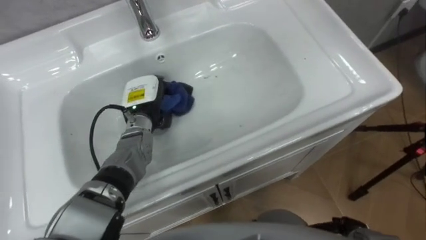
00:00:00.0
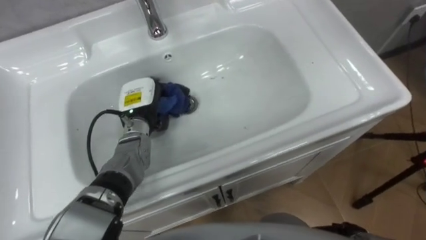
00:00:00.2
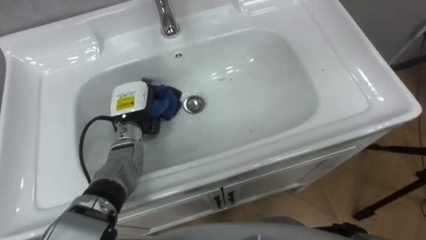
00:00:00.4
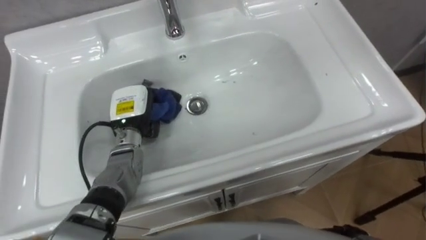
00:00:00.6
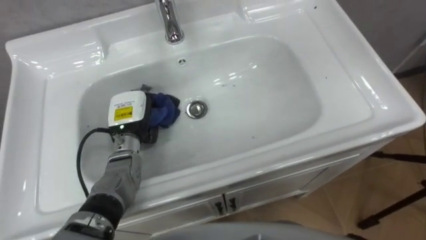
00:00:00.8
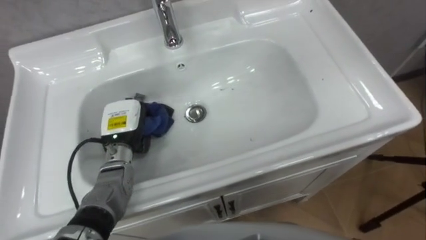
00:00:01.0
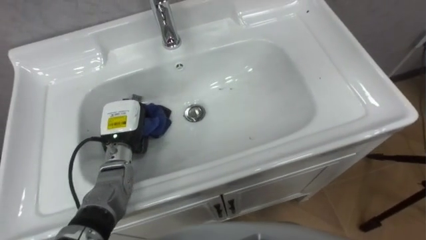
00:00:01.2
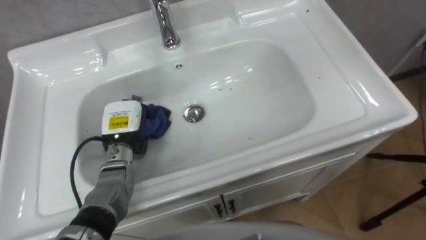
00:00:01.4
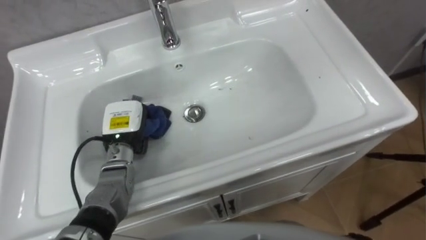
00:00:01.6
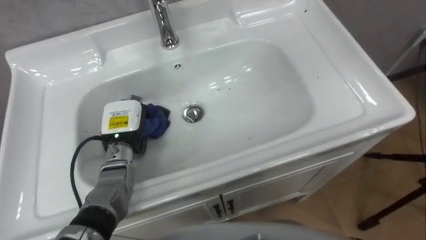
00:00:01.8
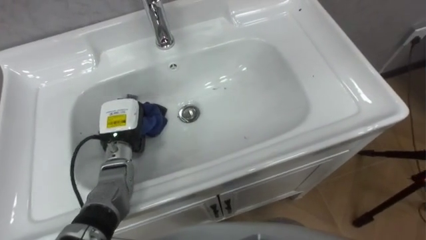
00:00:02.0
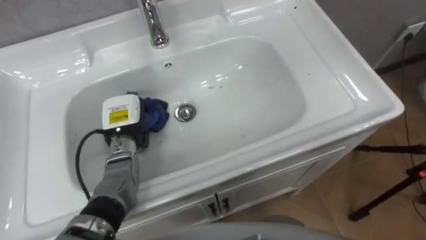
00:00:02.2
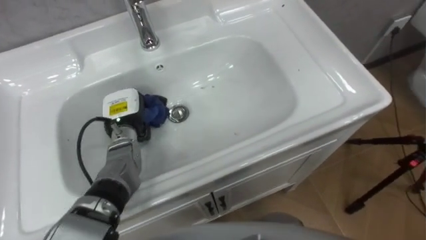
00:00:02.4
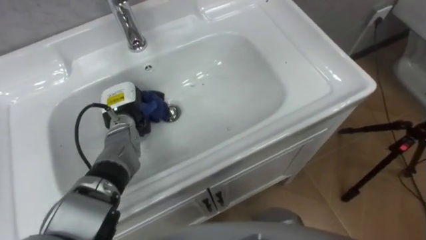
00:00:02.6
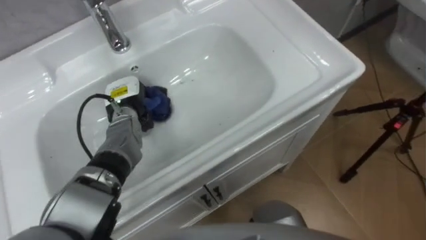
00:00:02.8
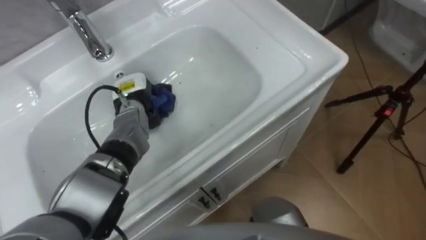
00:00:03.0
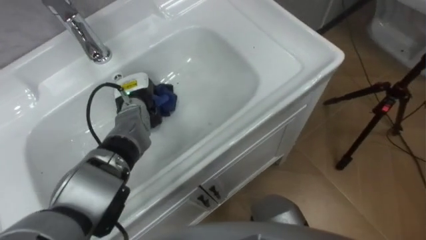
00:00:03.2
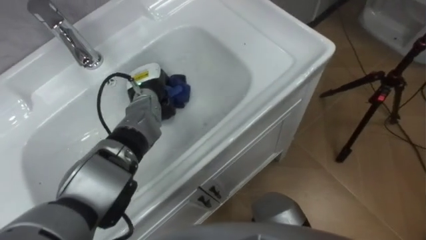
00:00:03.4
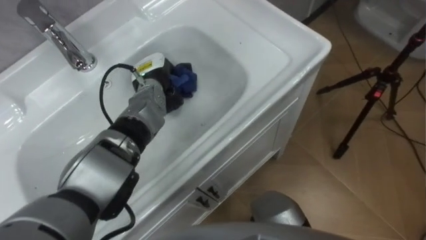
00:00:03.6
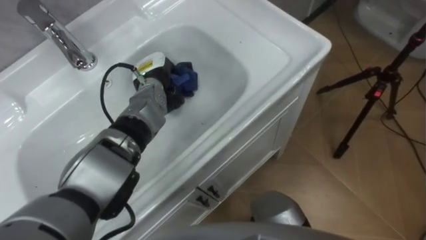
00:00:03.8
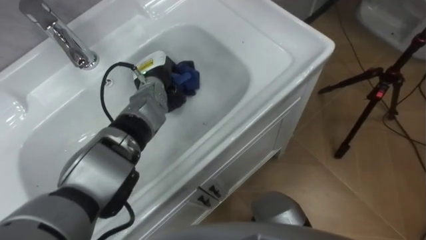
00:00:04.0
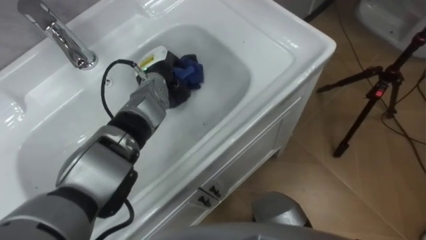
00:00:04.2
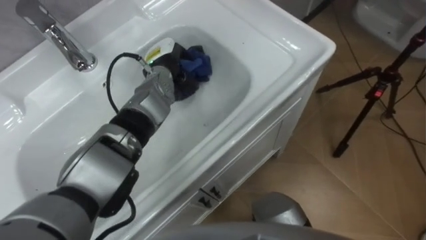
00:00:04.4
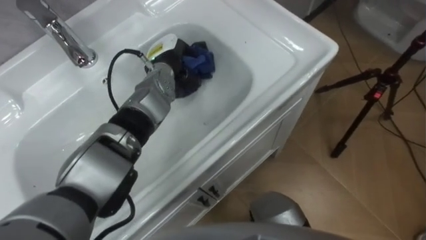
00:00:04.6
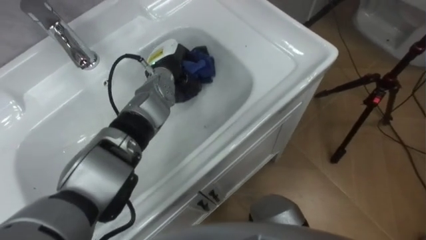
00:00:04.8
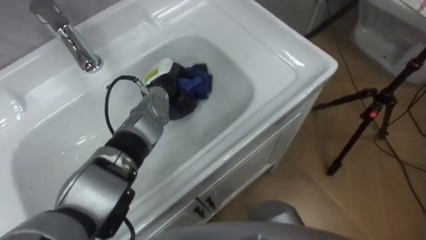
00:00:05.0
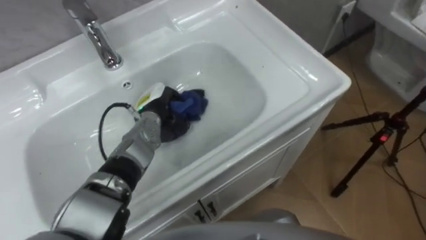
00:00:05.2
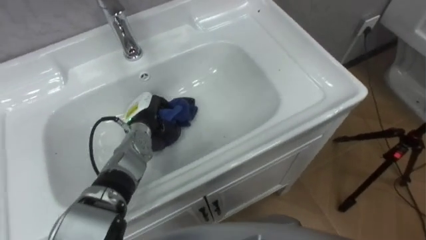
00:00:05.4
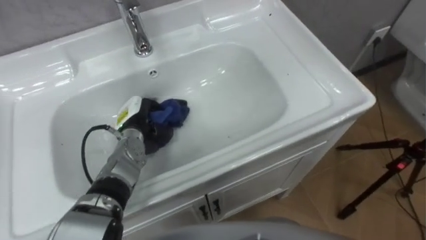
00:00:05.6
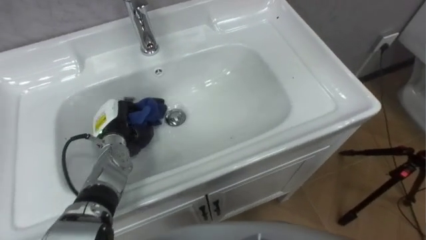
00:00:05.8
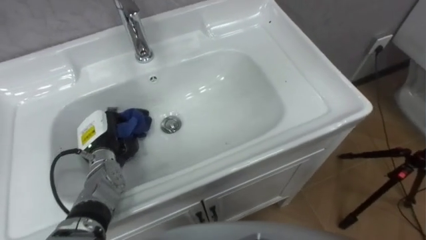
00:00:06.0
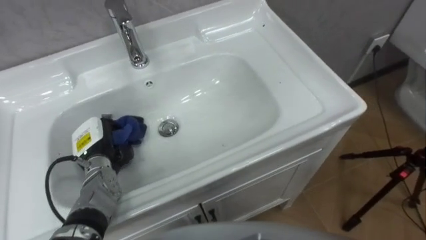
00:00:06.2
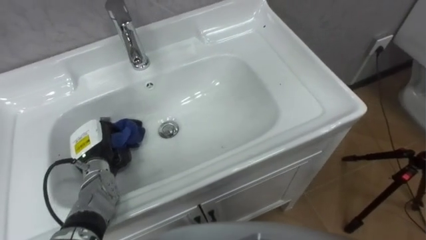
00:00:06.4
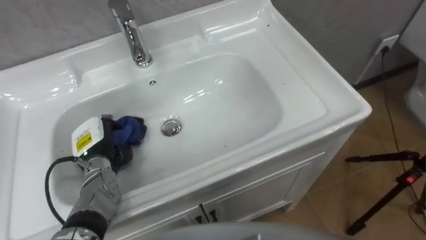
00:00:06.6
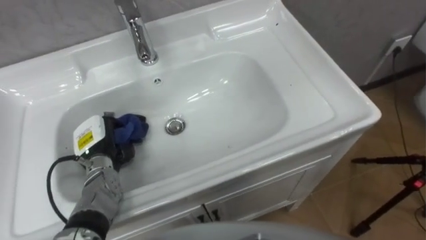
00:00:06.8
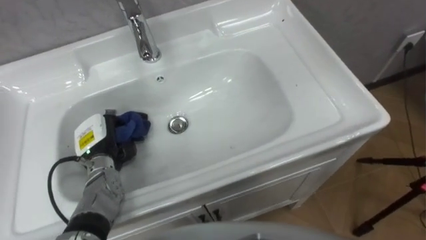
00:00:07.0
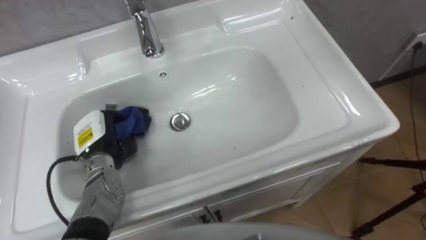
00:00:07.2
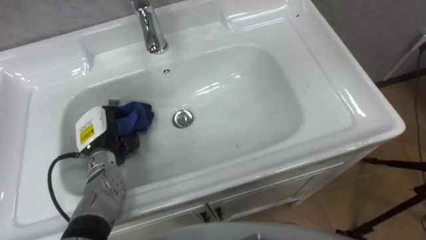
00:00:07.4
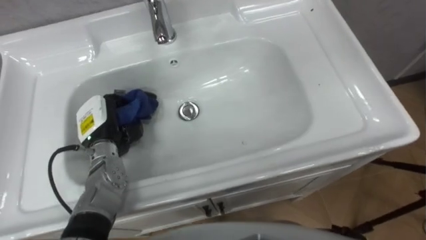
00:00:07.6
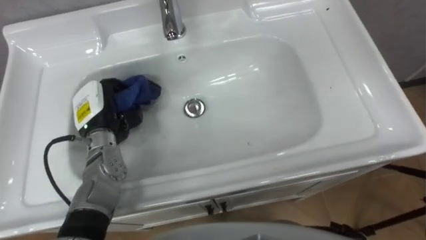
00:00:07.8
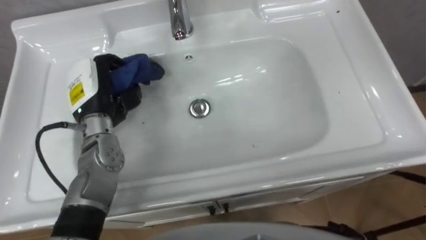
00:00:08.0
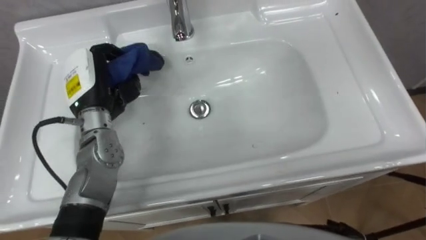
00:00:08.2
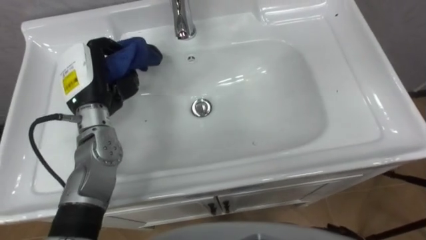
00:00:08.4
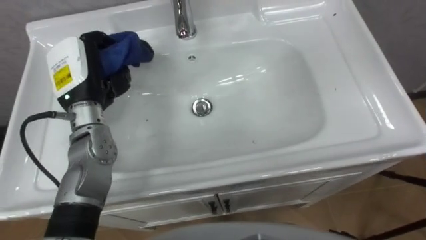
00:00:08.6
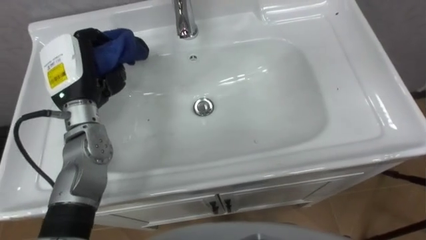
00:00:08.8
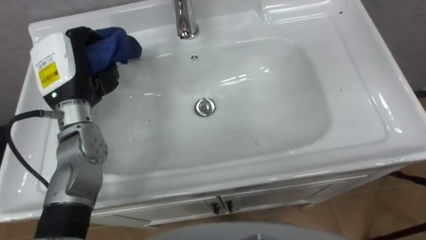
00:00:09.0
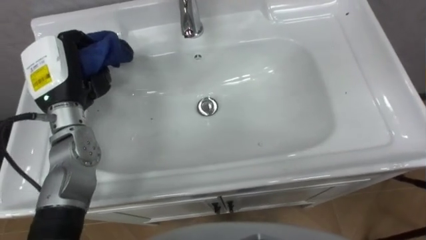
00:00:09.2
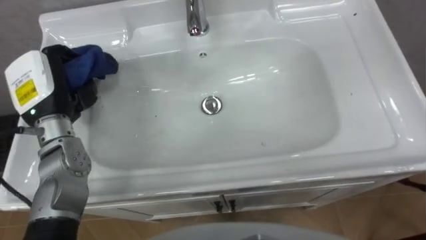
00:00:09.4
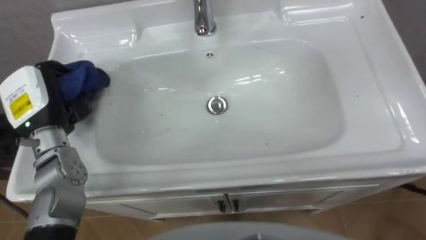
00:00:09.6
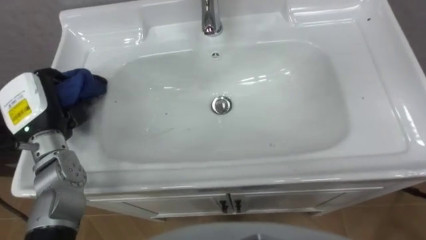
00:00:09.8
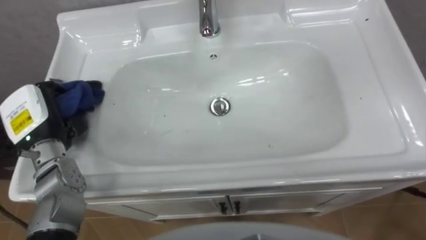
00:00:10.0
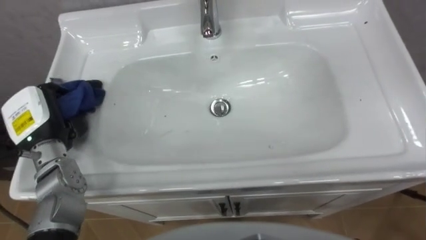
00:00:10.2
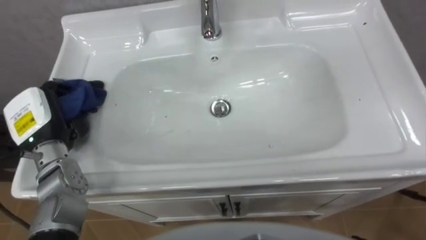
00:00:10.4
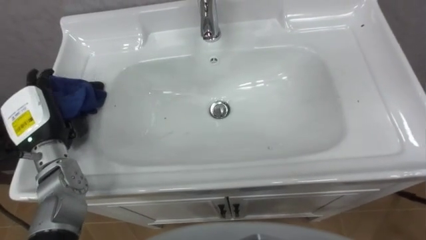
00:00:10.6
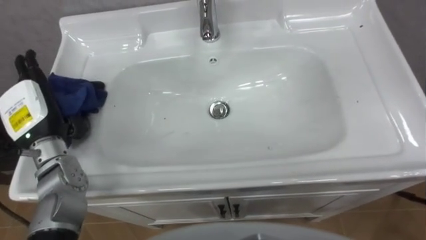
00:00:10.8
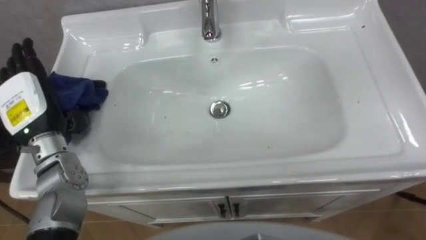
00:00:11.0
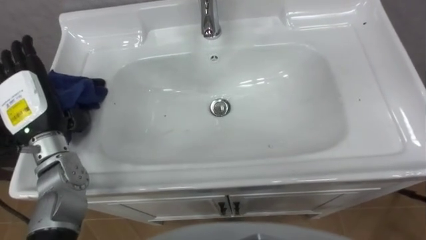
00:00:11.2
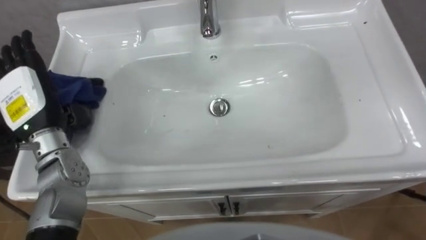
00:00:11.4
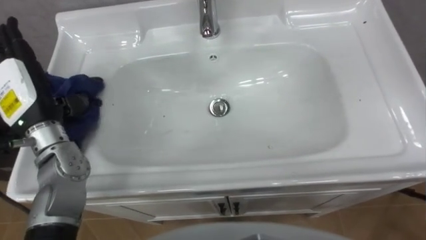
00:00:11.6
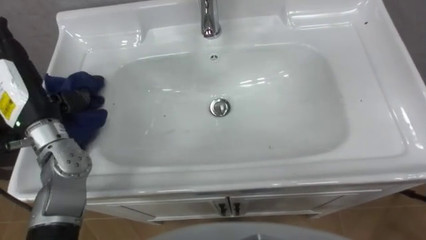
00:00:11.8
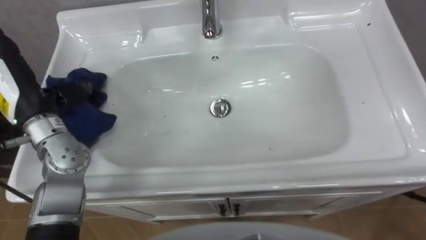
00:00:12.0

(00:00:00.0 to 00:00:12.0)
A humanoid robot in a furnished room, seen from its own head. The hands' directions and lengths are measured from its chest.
Task of the whole recording: Use the cloth on the right to wipe away the black stain in the sink.
00:00:00.0 - 00:00:01.6: The left hand goes some 5 cm backward.
00:00:01.6 - 00:00:03.0: The left hand travels forward by about 10 cm.
00:00:03.0 - 00:00:04.4: The left hand moves to the right and upward, approximately 10 cm.
00:00:04.4 - 00:00:06.0: The left hand shifts roughly 25 cm to the left, backward and downward.
00:00:06.0 - 00:00:07.6: The left hand moves upward, roughly 5 cm.
00:00:07.6 - 00:00:09.0: The left hand heads upward, covering about 15 cm.
00:00:09.0 - 00:00:10.4: The left hand moves downward, to the left and backward, roughly 10 cm, and opens.
00:00:10.4 - 00:00:12.0: The left hand goes approximately 5 cm upward, and opens up.

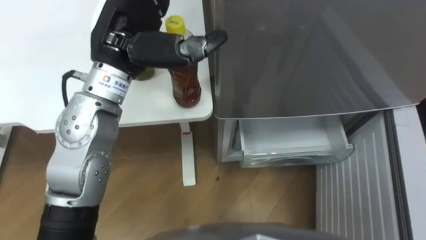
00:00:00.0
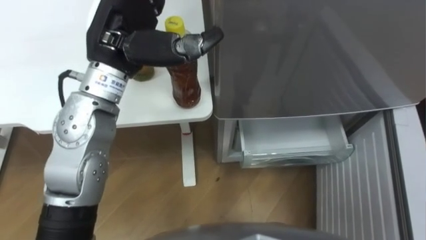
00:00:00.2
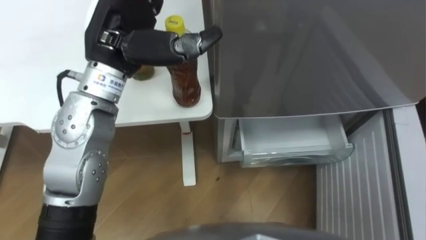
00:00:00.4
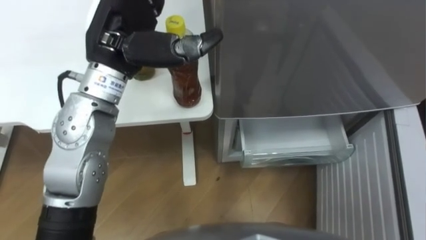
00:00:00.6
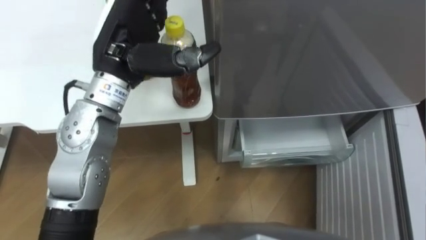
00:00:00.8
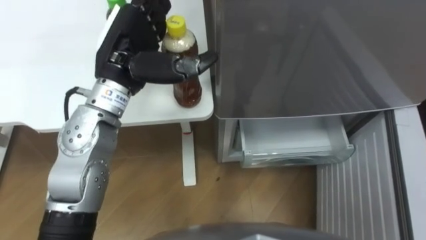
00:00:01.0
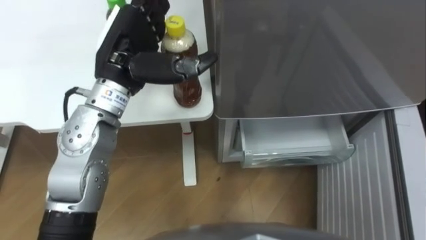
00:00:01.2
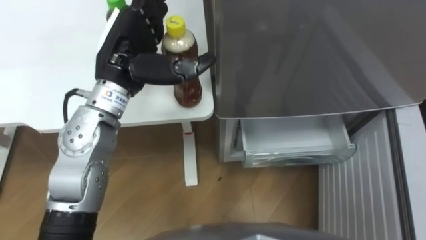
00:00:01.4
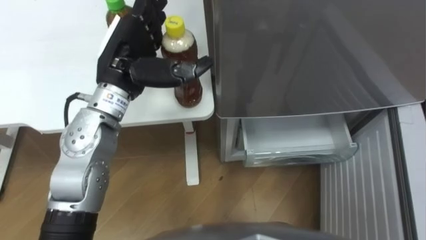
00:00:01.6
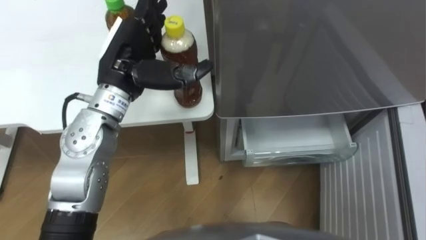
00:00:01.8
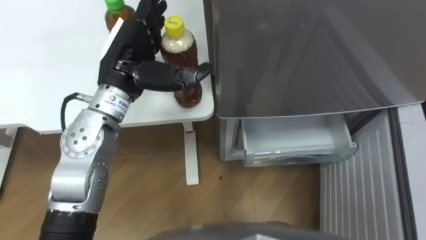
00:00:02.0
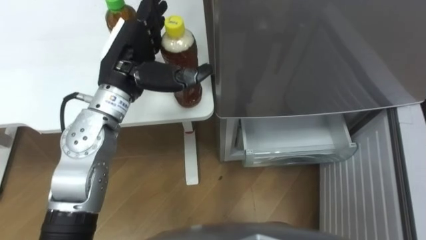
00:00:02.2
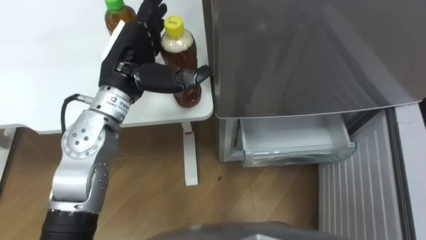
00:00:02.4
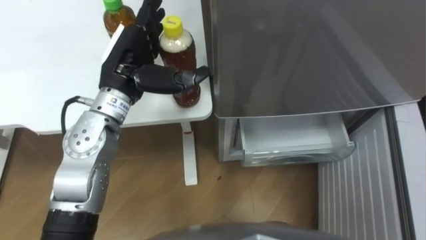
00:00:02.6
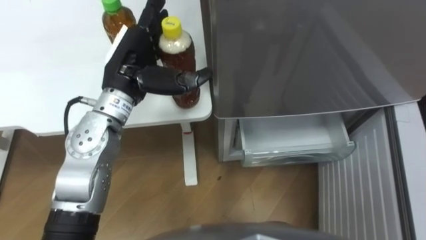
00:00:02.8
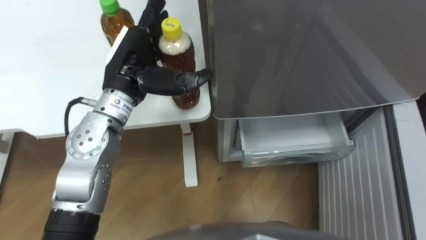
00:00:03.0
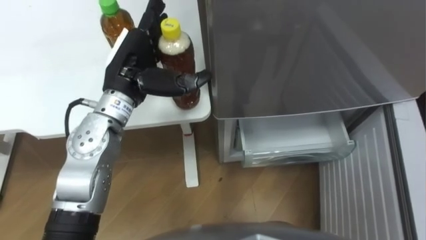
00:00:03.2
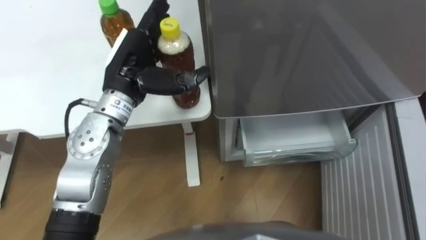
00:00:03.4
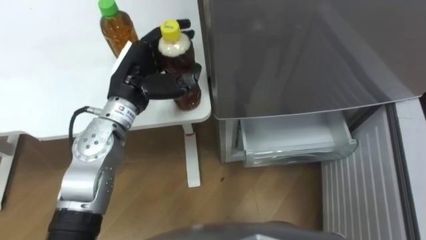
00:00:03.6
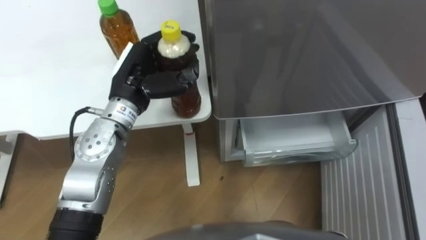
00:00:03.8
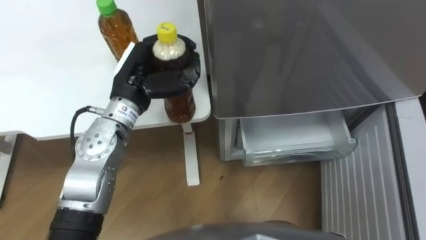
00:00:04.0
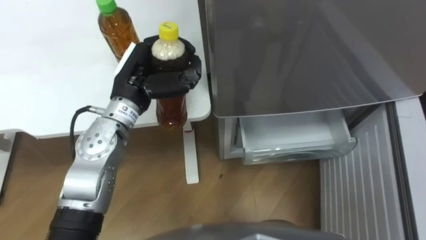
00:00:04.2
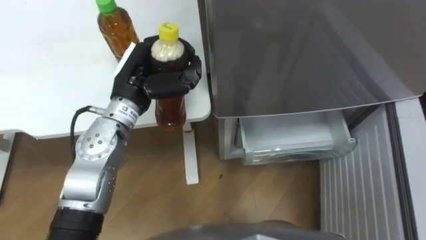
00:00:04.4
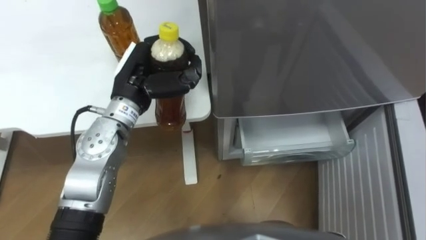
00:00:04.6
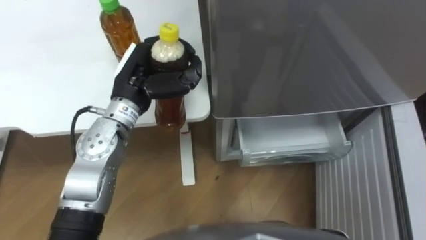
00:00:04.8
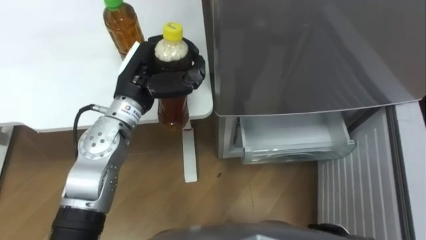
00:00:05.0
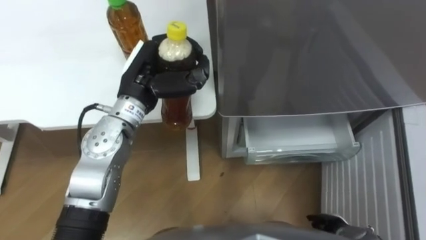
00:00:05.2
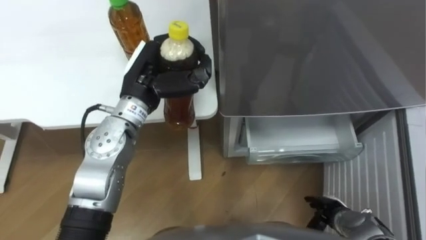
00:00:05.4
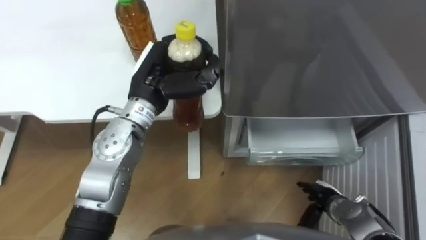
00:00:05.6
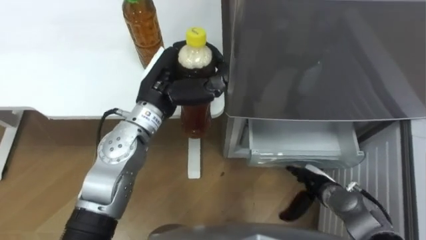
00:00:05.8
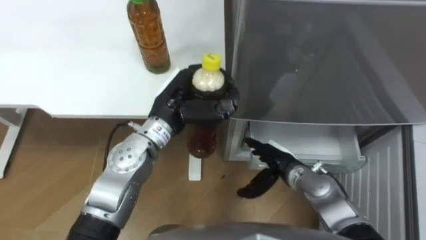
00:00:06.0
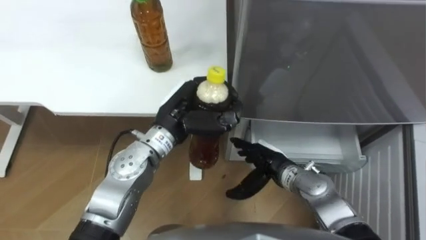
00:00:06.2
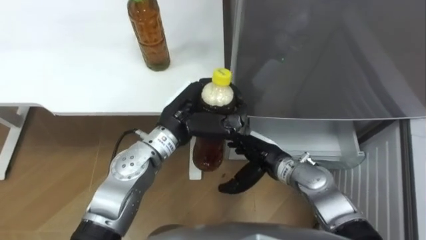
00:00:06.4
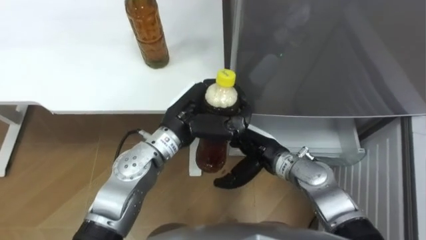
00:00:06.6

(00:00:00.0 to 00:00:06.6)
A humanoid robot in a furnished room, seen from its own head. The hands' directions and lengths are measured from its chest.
Task of the whole recording: Place the drink on the table on the bottom shelf of the refrigerator, then close the drawer and the refrigerator door.
00:00:00.0 - 00:00:01.6: The left hand moves downward, about 5 cm.
00:00:03.2 - 00:00:05.0: The left hand closes up.
00:00:05.0 - 00:00:06.6: The left hand goes approximately 10 cm to the right.
